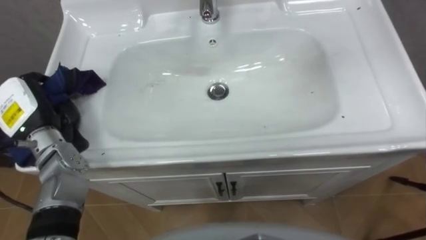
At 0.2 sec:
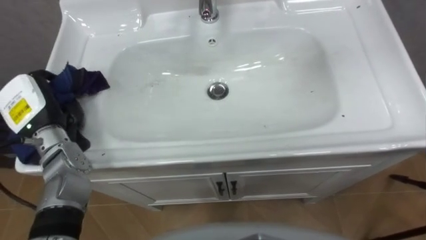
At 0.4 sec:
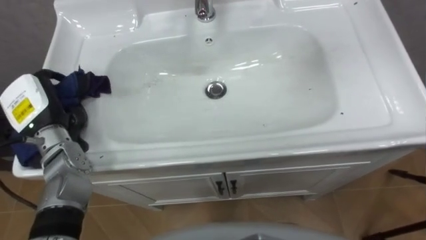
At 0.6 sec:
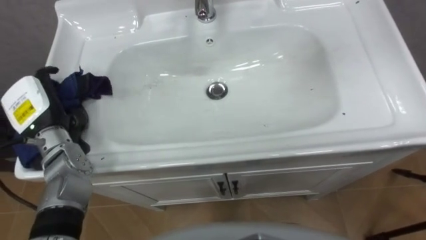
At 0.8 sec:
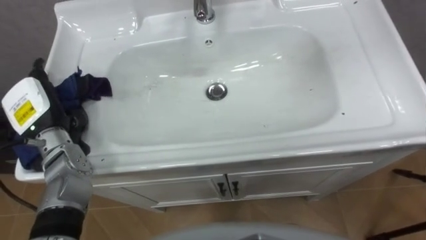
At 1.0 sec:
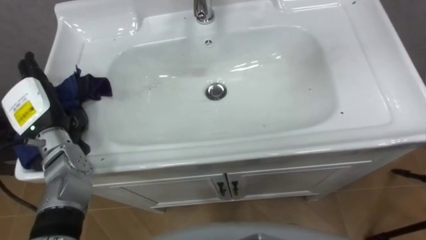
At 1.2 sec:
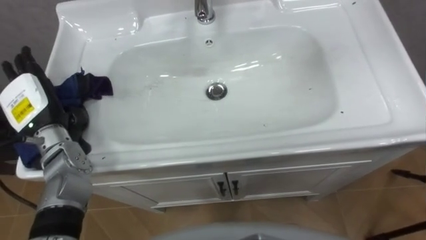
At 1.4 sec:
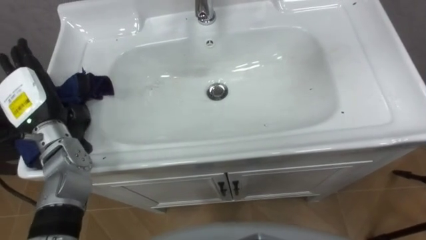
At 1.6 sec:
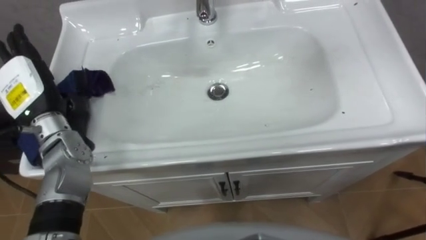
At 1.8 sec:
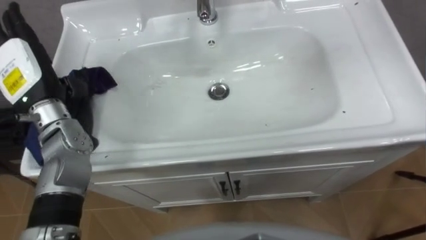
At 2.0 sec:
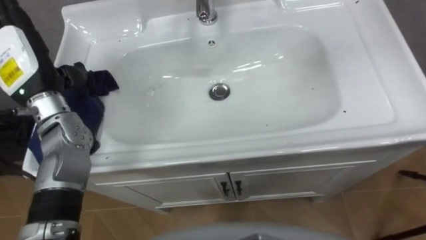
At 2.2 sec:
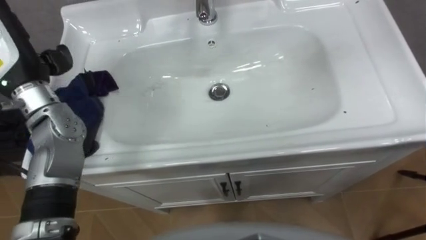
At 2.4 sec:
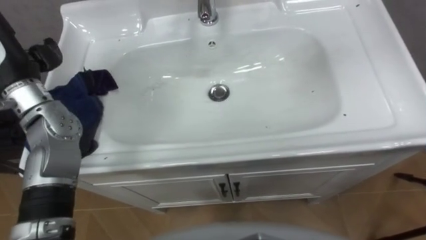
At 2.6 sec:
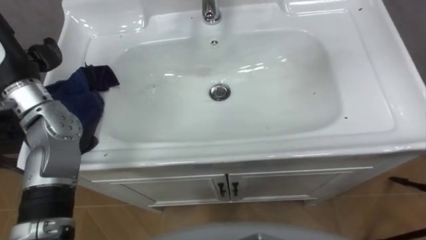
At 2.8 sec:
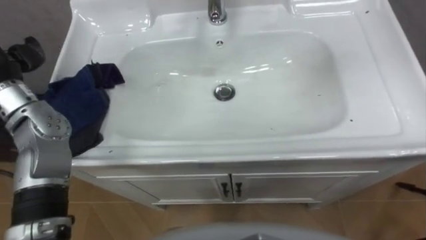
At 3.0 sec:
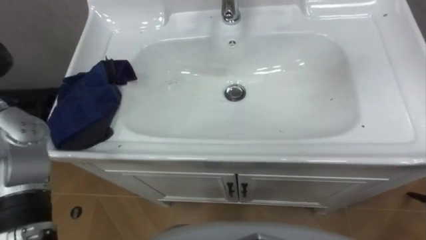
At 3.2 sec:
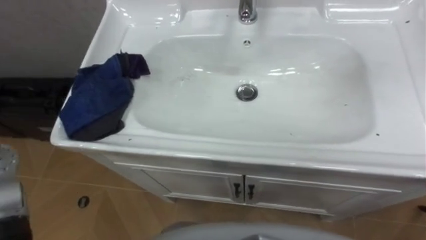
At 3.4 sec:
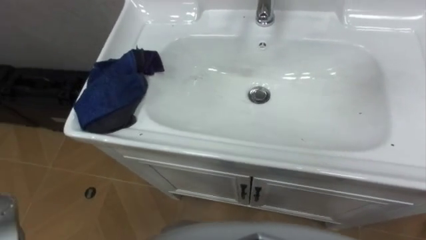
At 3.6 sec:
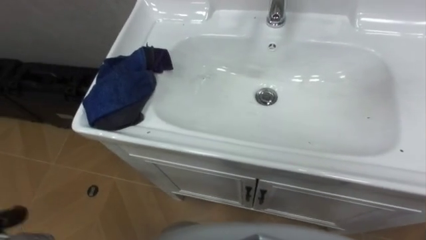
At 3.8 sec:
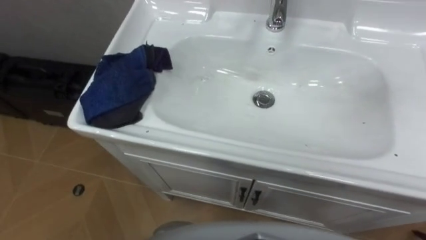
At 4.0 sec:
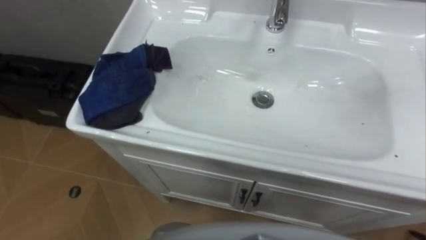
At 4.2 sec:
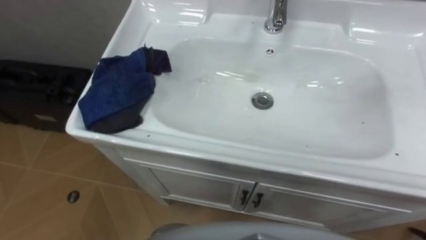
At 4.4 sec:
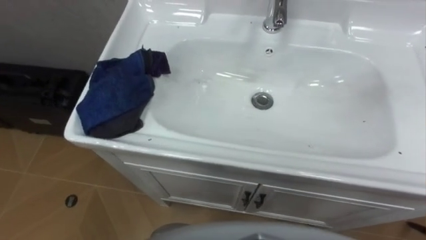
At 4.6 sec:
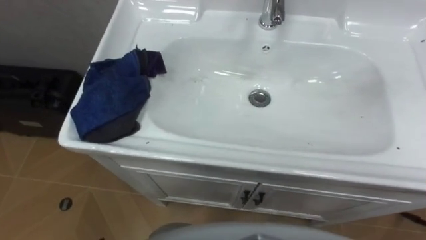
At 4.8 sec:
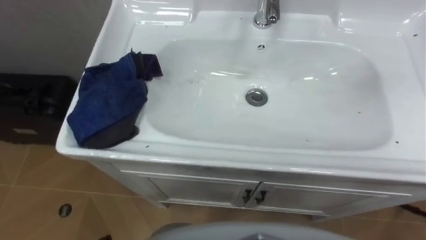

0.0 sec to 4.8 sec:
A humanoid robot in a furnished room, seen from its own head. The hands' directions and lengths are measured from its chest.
Task of the whole recording: Use the cloth on the right to wipe away the black stain in the sink.
0.0 sec to 1.6 sec: The left hand opens its fingers.

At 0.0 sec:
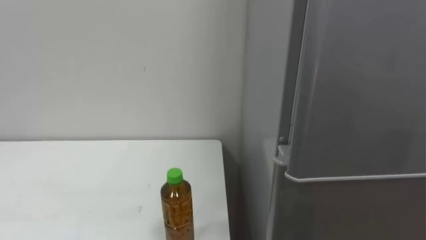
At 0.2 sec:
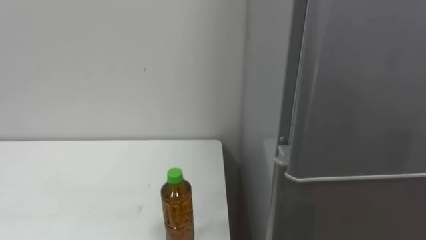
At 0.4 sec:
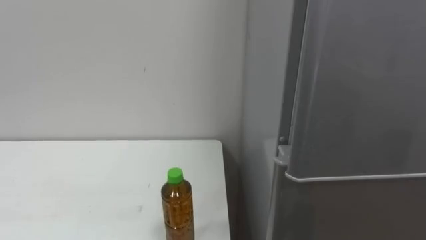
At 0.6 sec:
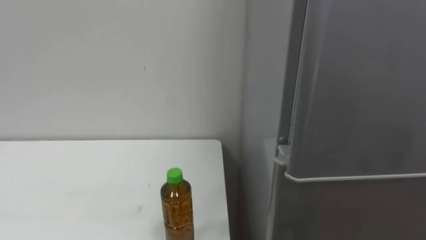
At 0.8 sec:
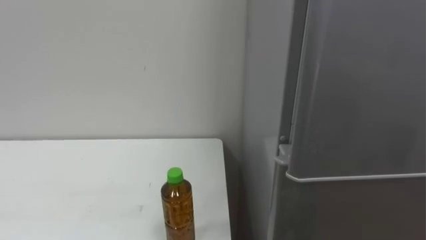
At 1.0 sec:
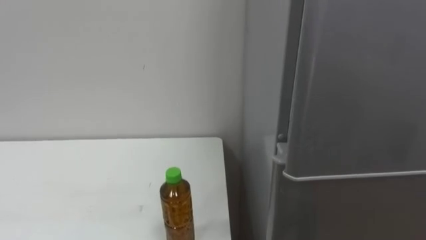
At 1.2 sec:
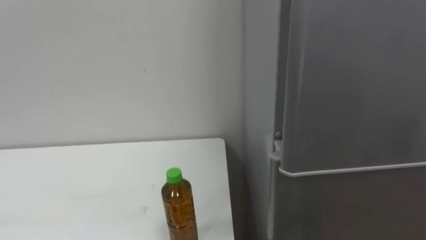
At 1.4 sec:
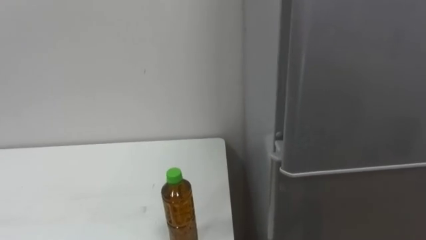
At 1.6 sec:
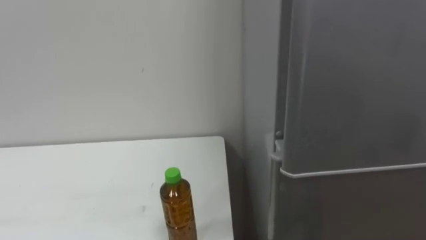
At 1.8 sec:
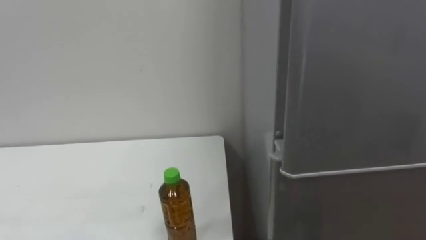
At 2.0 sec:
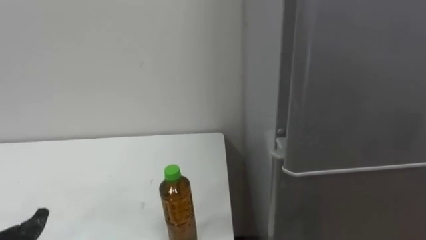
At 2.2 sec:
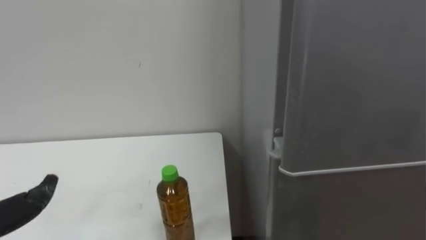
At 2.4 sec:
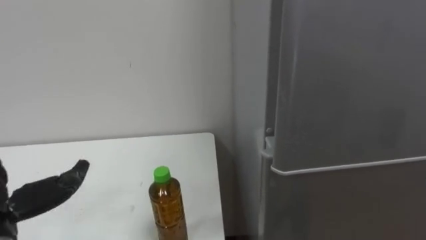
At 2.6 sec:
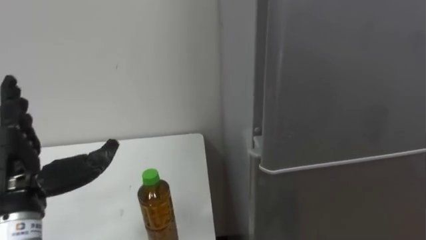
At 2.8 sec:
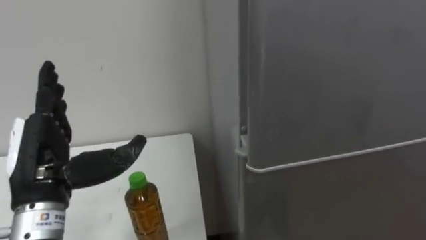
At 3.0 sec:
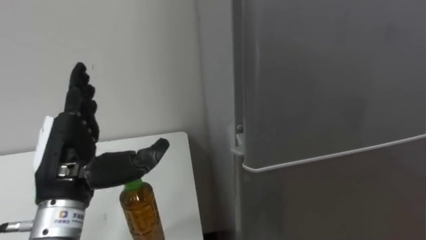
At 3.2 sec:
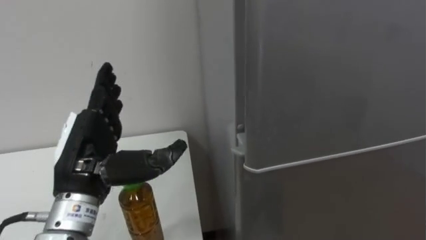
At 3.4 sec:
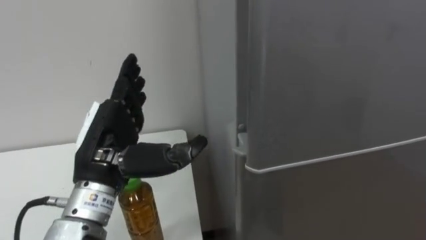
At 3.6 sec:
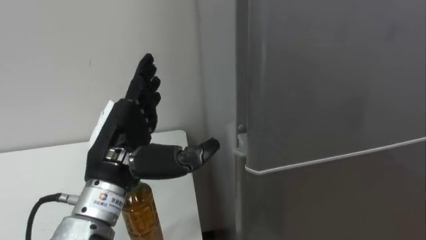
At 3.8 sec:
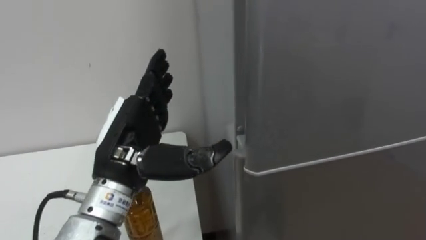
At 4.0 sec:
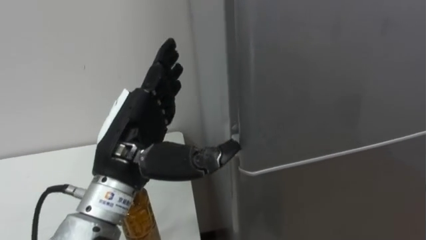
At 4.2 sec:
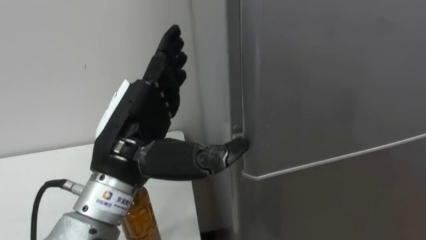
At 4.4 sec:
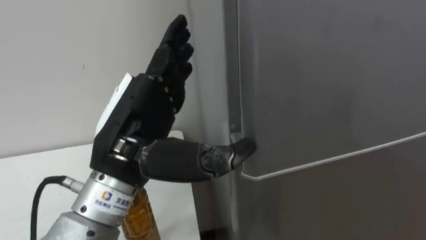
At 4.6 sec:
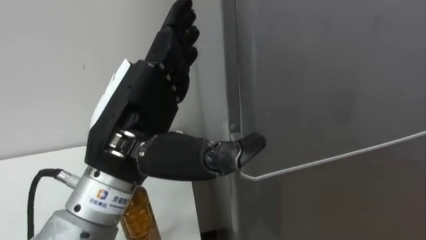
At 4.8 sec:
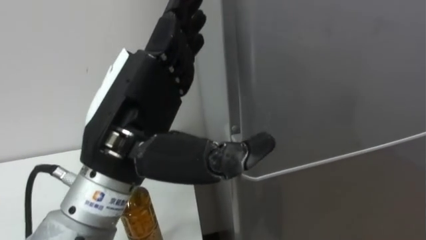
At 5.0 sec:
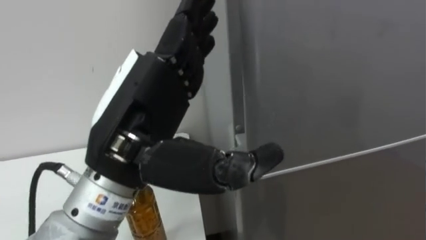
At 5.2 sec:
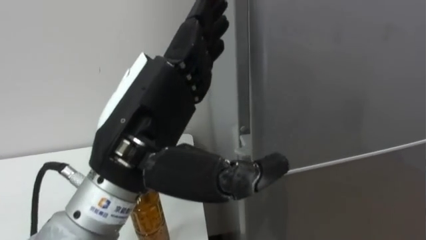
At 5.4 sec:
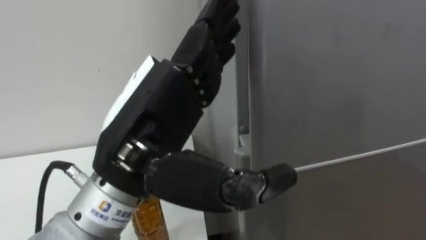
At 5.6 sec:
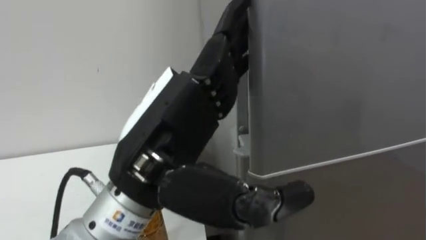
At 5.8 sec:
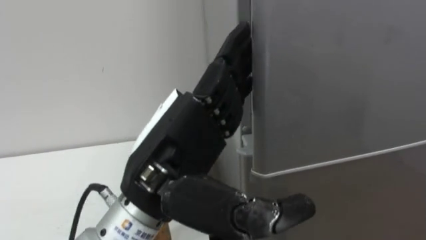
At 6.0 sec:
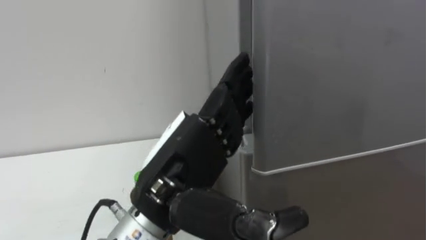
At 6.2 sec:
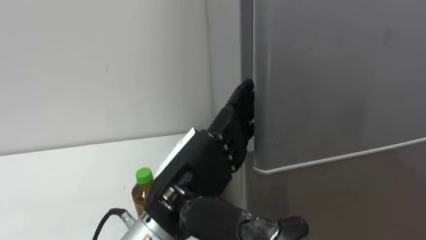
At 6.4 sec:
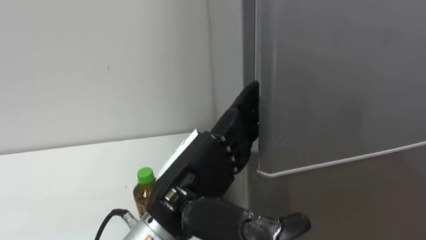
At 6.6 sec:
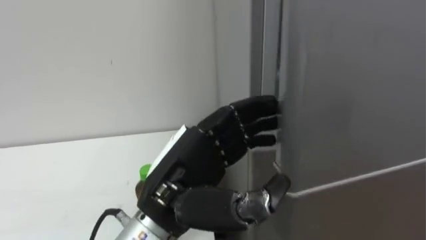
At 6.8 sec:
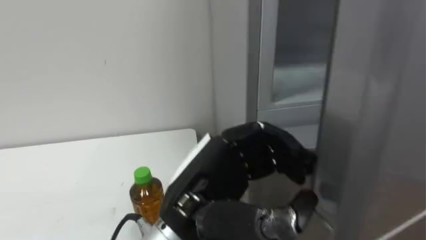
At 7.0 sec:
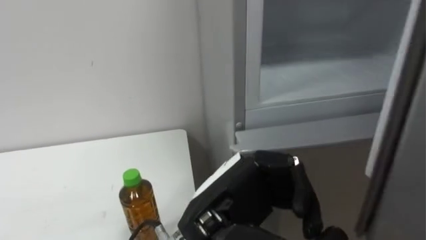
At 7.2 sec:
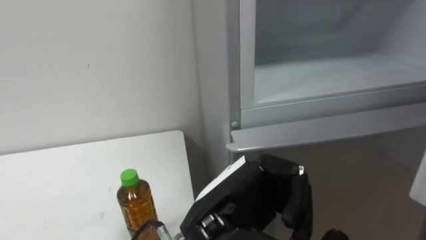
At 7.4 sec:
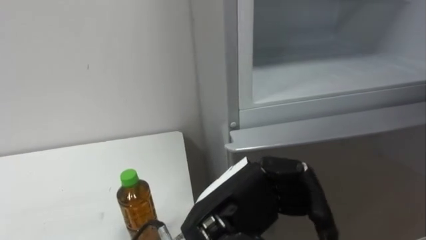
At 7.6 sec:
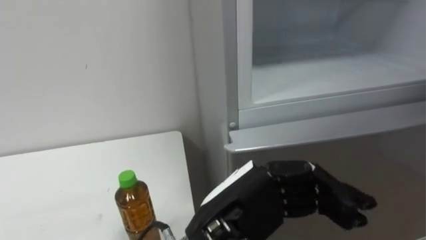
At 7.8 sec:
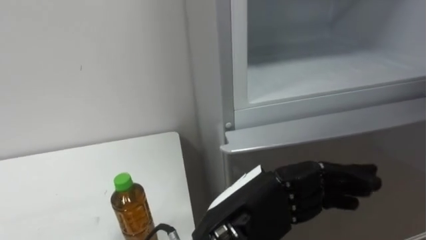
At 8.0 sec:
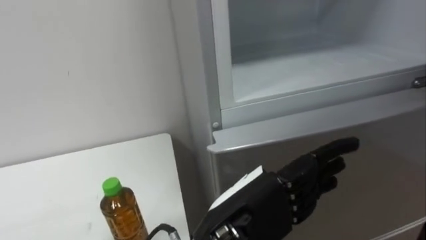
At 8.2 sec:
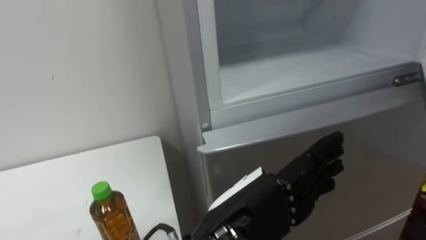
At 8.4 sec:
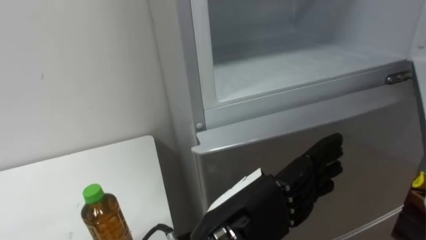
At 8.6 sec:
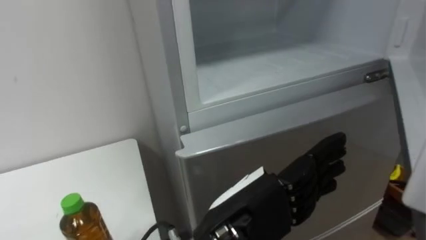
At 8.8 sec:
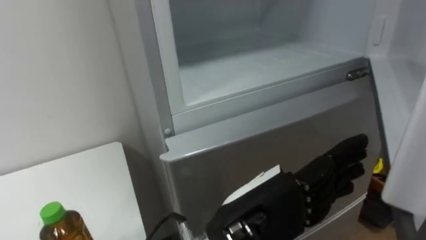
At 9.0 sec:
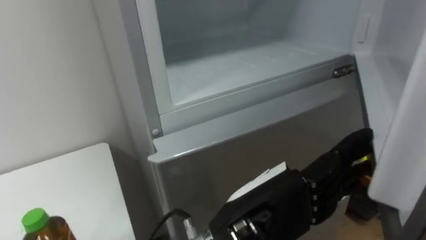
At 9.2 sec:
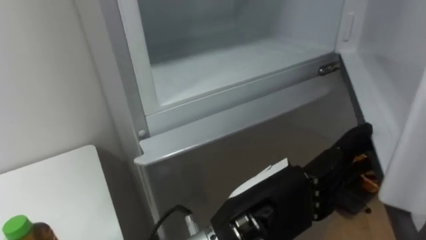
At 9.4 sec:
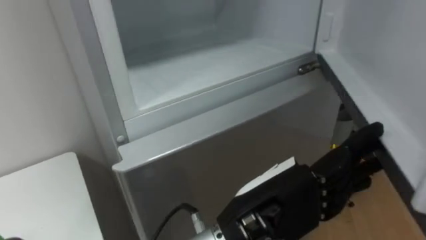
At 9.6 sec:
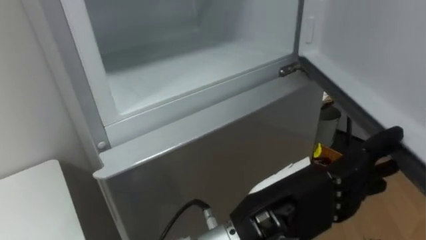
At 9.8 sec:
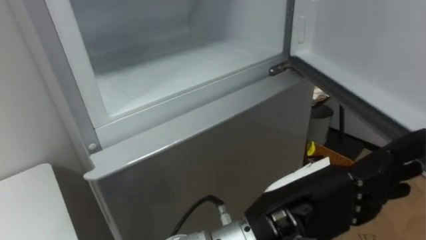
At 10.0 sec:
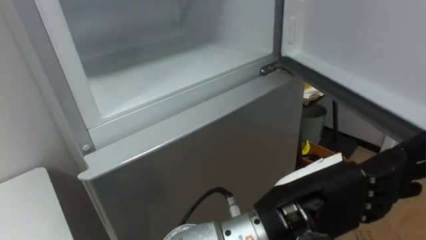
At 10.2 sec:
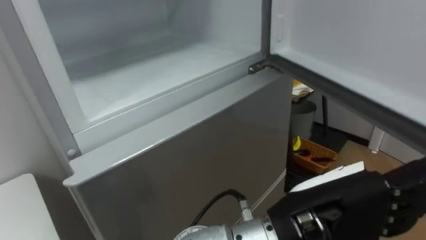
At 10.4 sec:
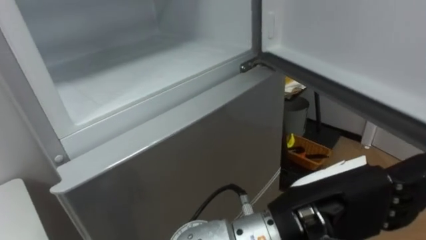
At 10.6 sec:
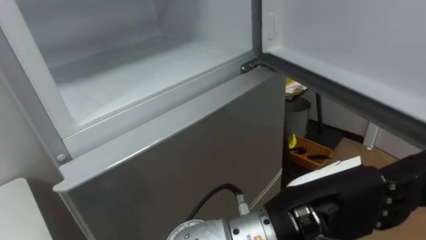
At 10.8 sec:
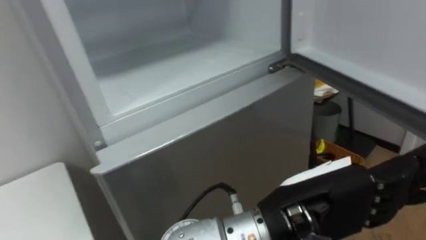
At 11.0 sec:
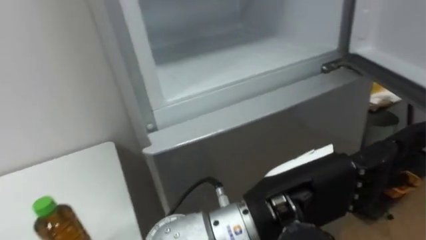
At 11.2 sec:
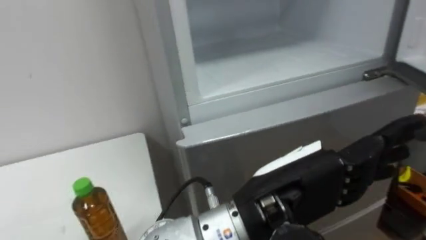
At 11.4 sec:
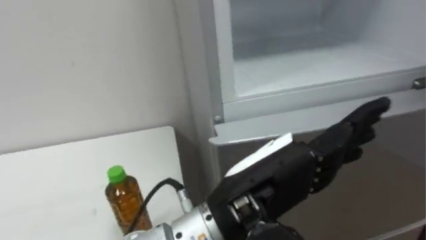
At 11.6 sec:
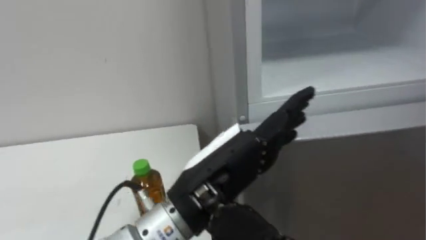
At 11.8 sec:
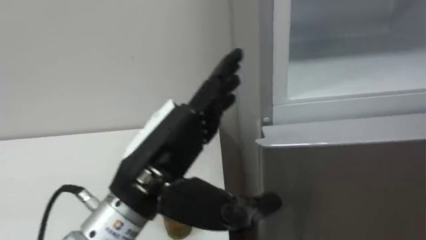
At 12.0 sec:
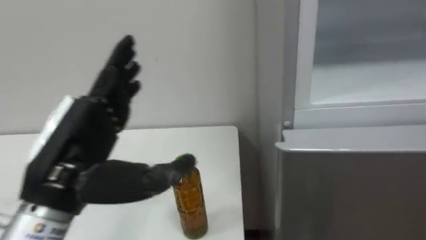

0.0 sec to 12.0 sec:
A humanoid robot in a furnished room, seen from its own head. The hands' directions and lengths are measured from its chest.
Task of the whole recording: Open the upper refrigerator door, put the drink from the table into the refrigerator, and then close the refrigerator door.
3.0 sec to 4.4 sec: The left hand heads to the right and upward, covering roughly 10 cm.
4.4 sec to 6.0 sec: The left hand is displaced to the right by approximately 5 cm.
6.0 sec to 7.6 sec: The left hand moves to the right, approximately 5 cm, and closes its fingers.
7.6 sec to 9.0 sec: The left hand opens.
9.0 sec to 10.4 sec: The left hand is displaced to the right by about 5 cm.
10.4 sec to 12.0 sec: The left hand is displaced to the left by some 25 cm.
